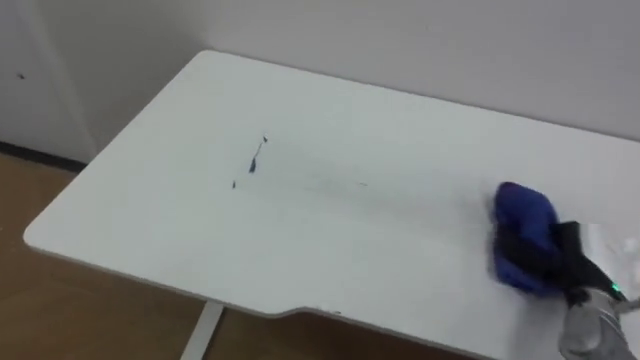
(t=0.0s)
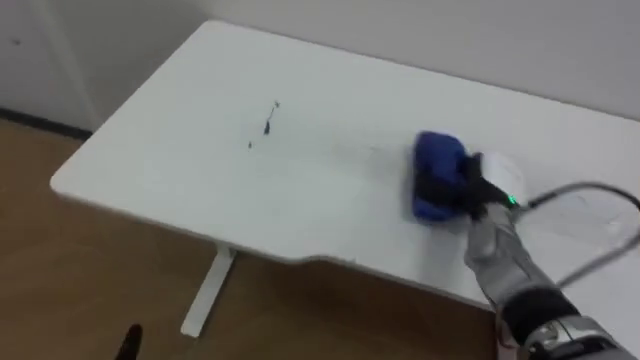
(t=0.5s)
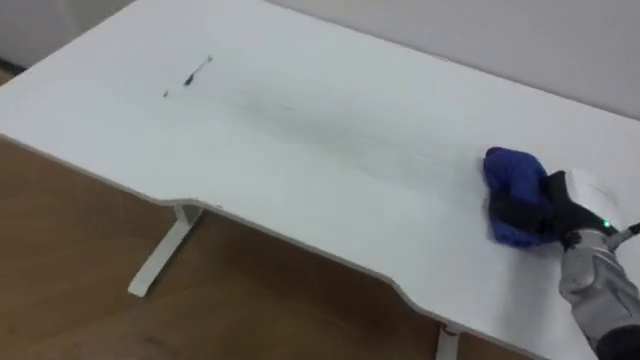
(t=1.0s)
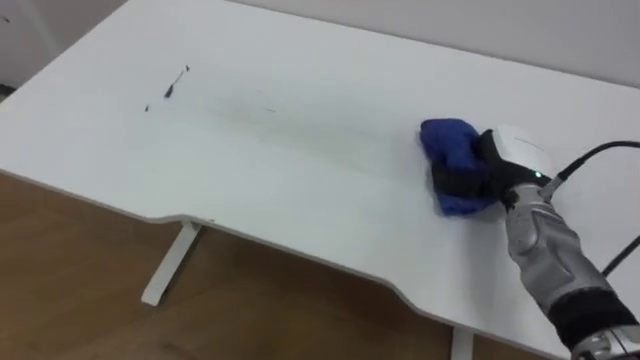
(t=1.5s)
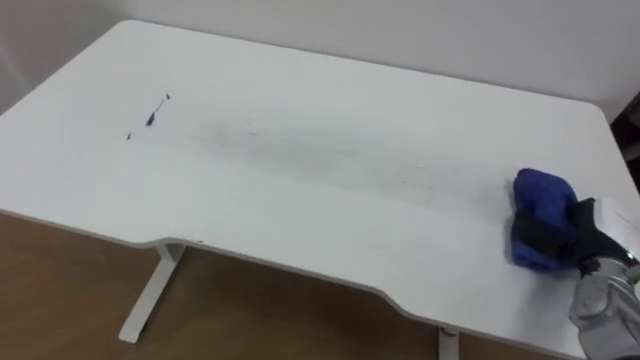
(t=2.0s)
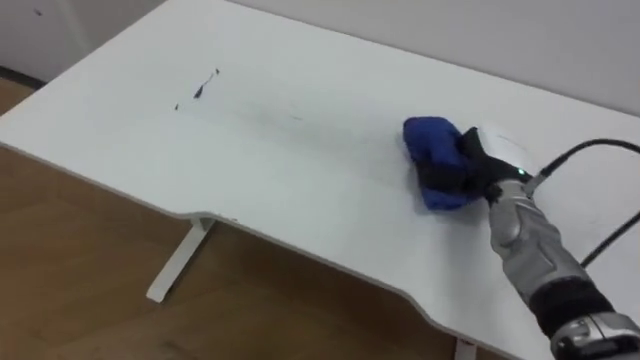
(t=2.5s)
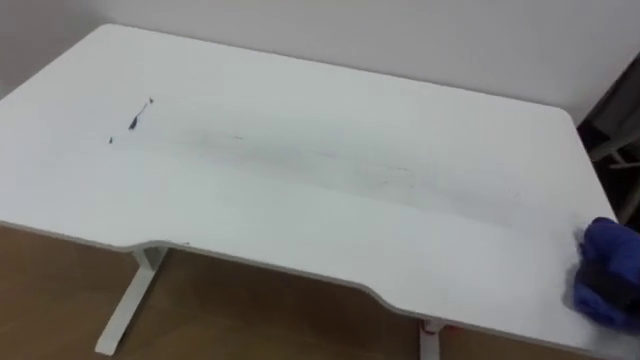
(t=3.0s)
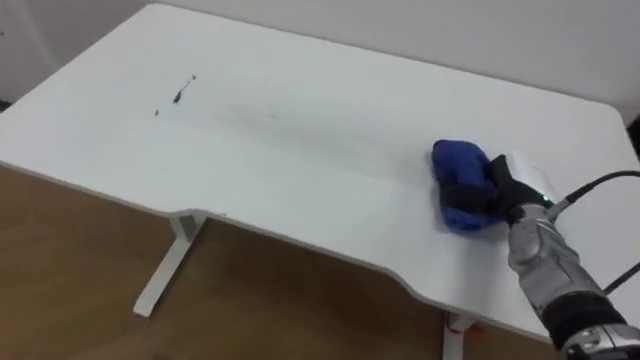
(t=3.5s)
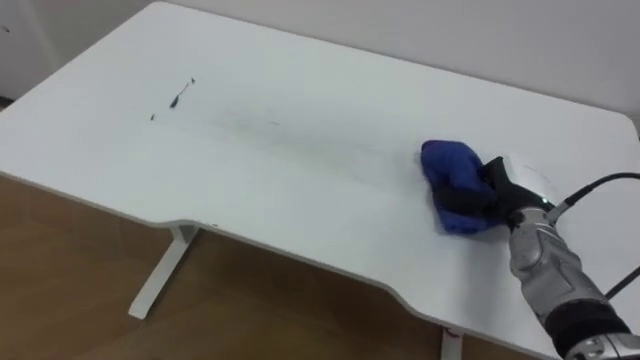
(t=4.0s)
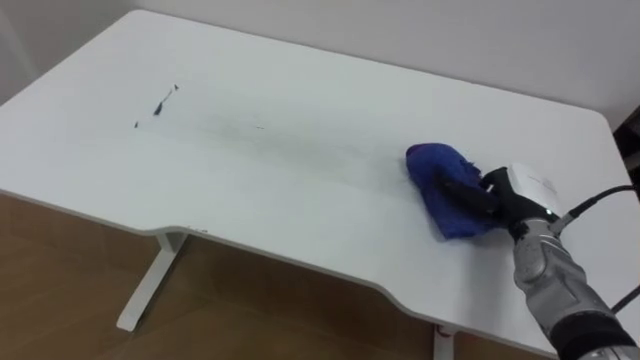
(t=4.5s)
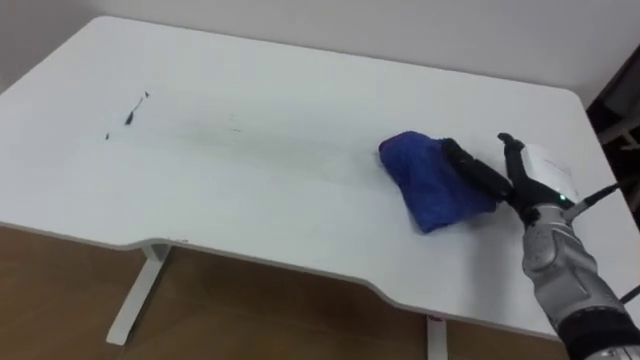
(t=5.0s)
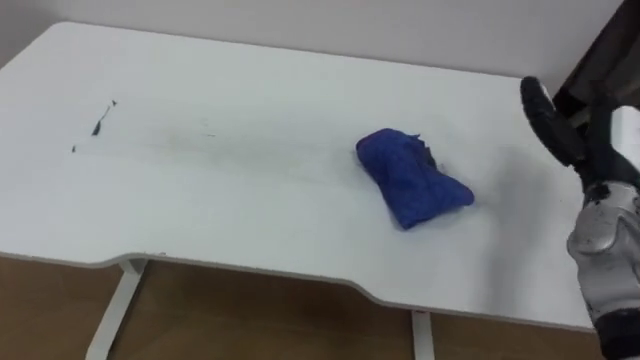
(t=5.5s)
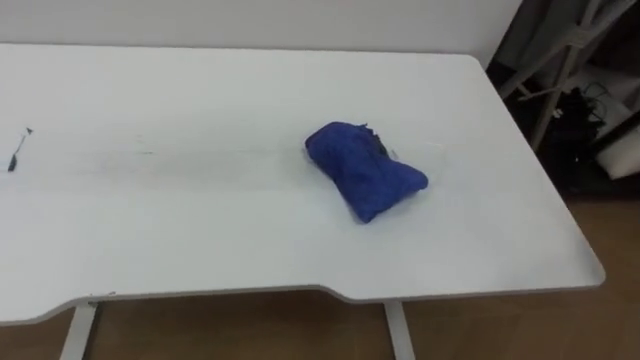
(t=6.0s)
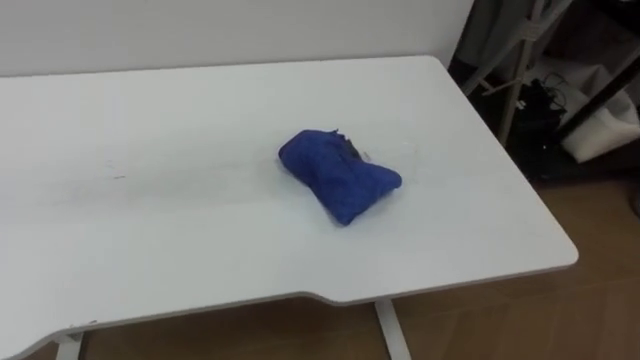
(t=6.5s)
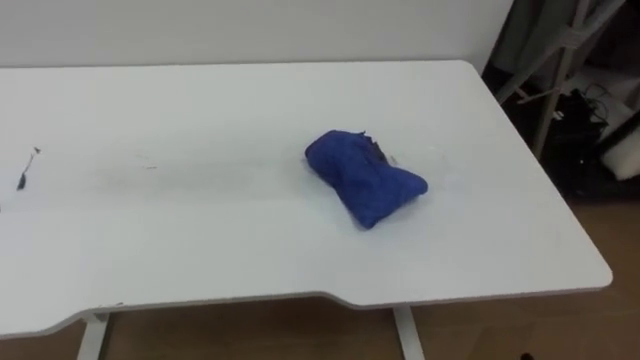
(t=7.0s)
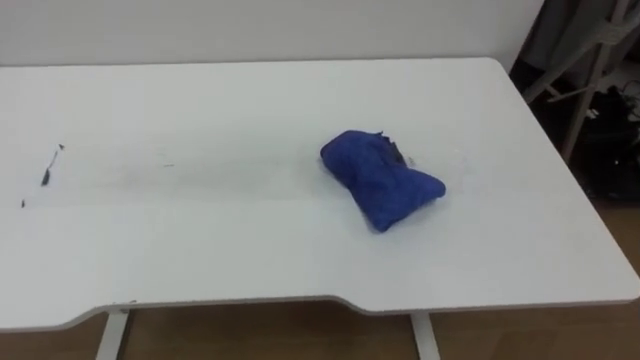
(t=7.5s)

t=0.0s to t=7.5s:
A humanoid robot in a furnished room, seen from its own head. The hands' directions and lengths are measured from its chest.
Task of the whole recording: Wipe the blue pen marks off the table with the rag.
t=4.0s to t=5.5s: The right hand moves upward and to the right, some 10 cm, and opens its fingers.

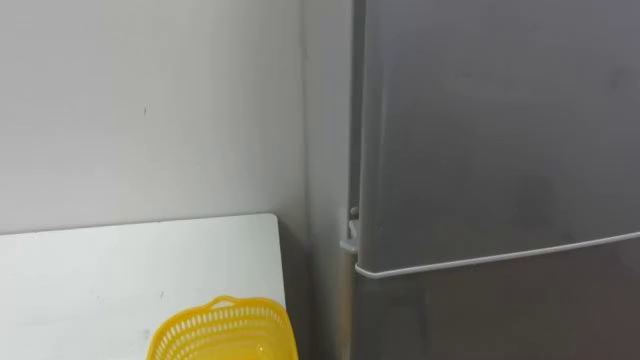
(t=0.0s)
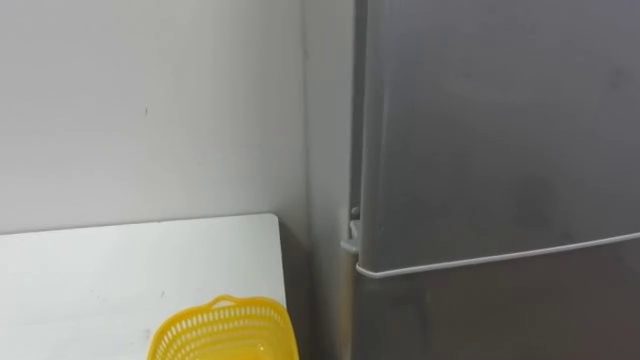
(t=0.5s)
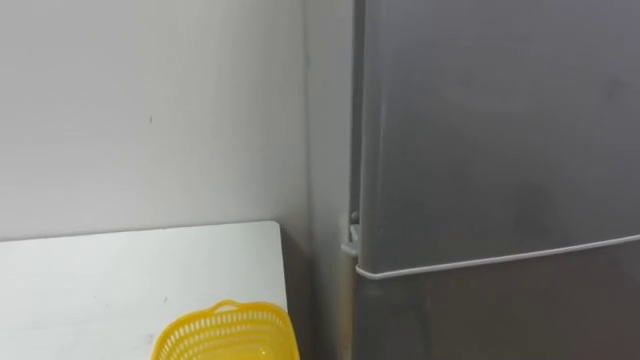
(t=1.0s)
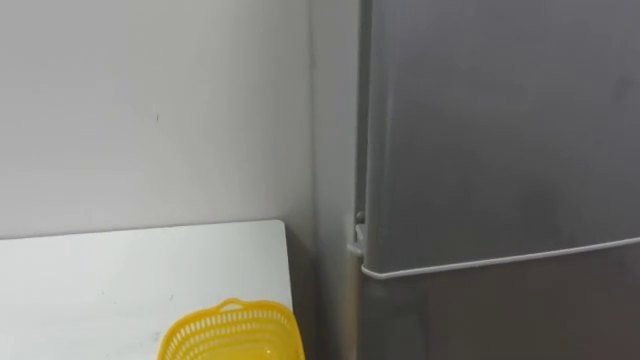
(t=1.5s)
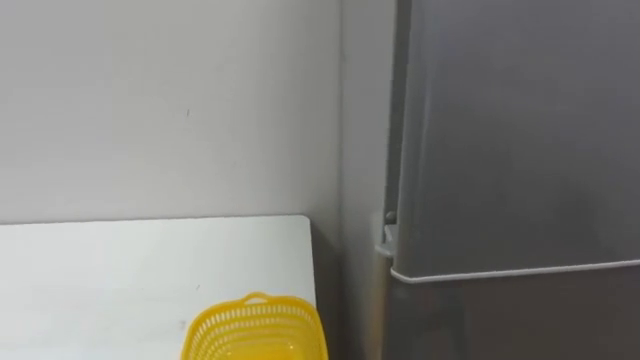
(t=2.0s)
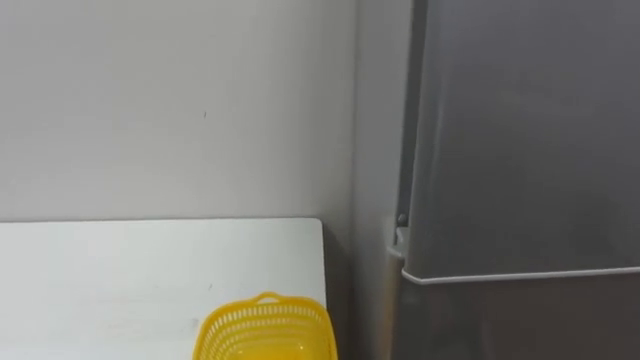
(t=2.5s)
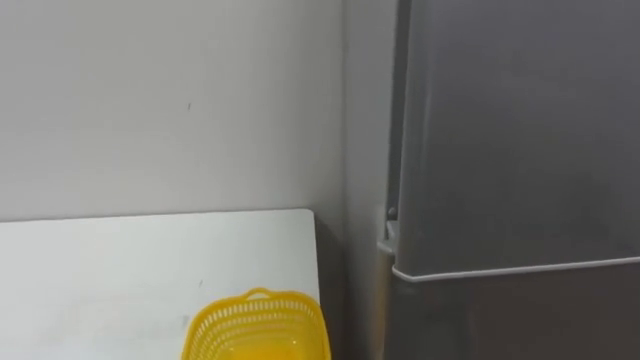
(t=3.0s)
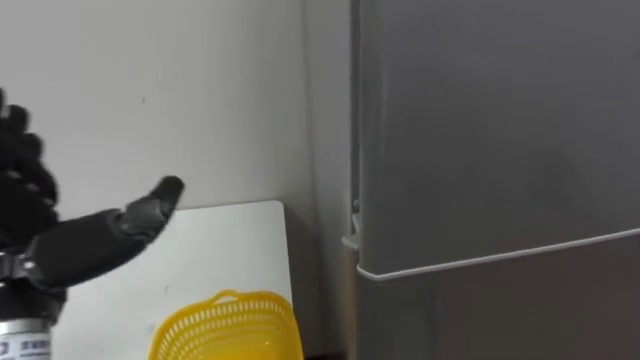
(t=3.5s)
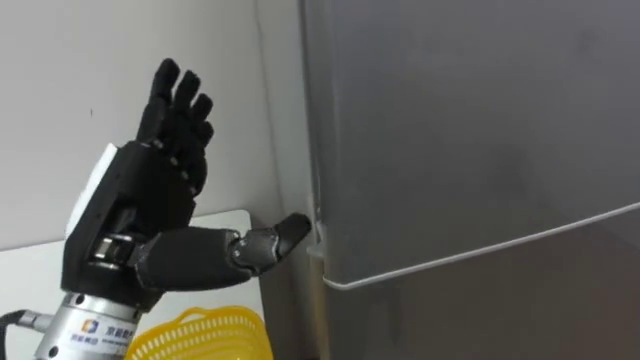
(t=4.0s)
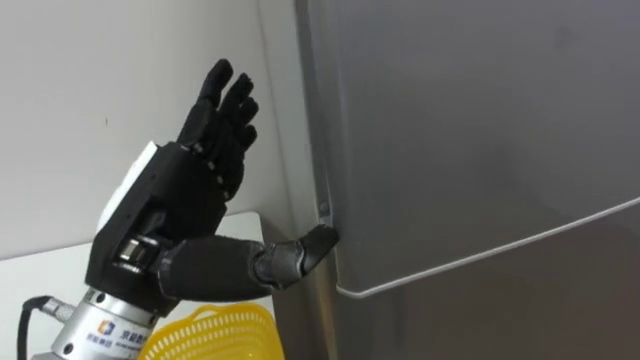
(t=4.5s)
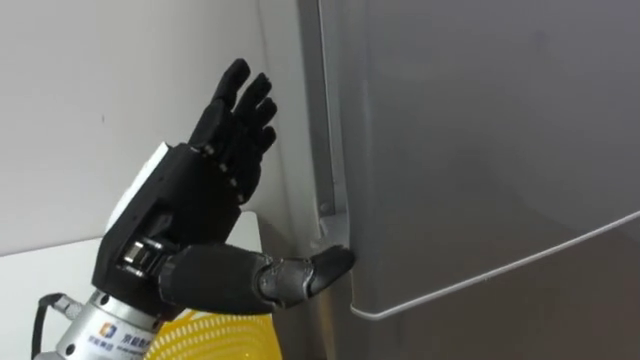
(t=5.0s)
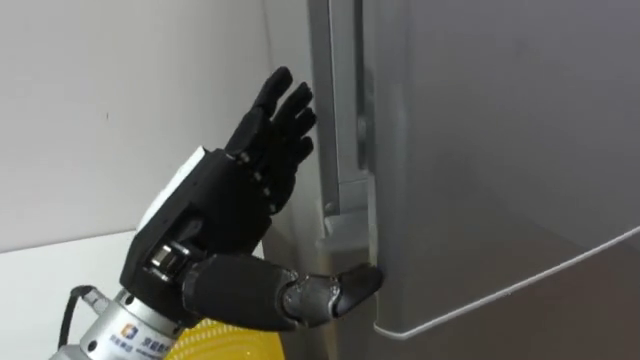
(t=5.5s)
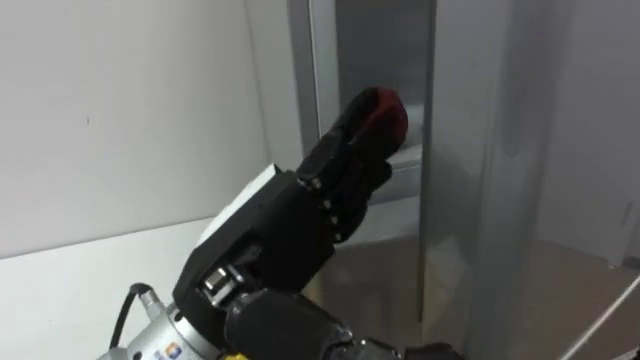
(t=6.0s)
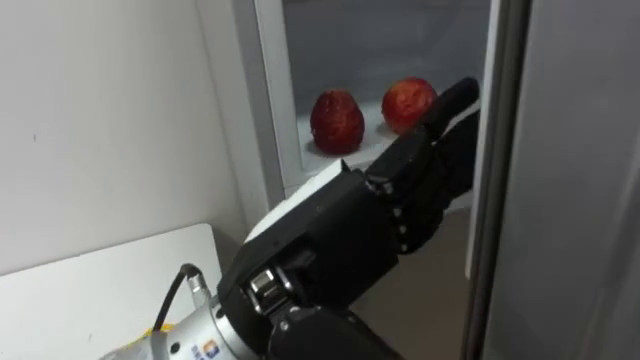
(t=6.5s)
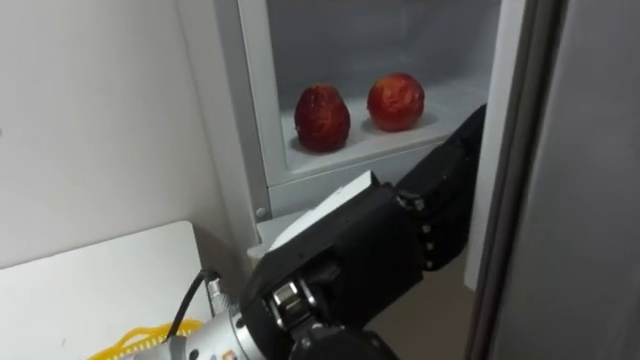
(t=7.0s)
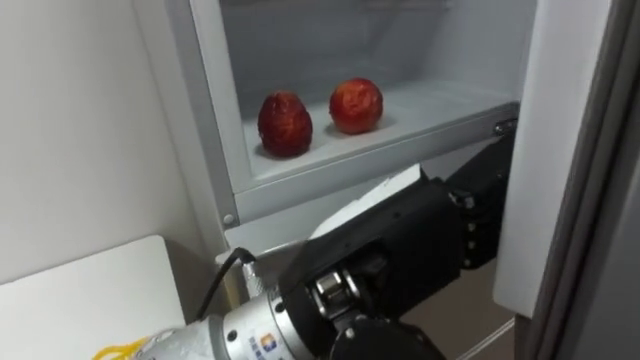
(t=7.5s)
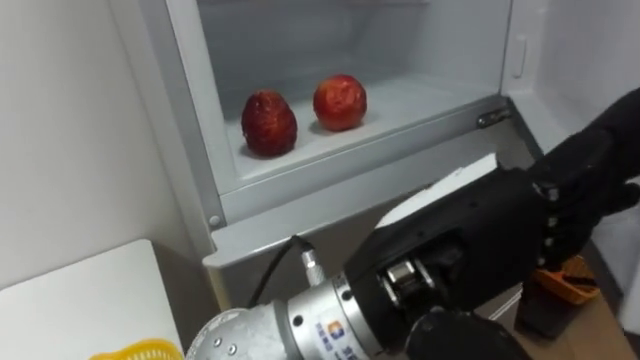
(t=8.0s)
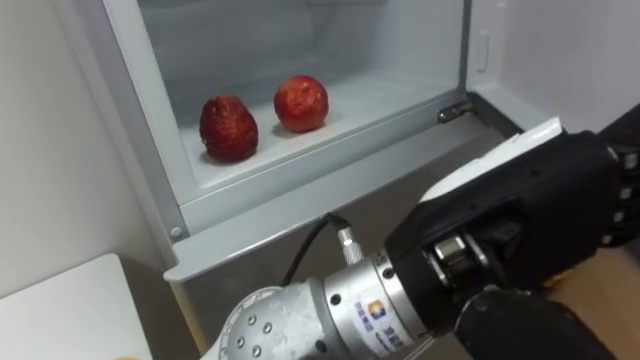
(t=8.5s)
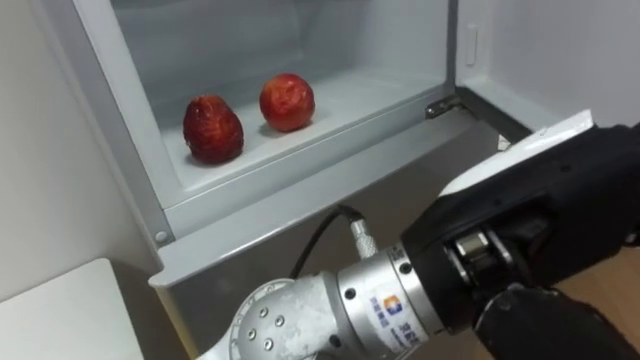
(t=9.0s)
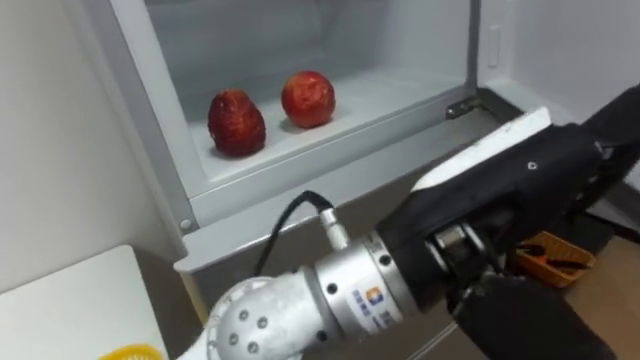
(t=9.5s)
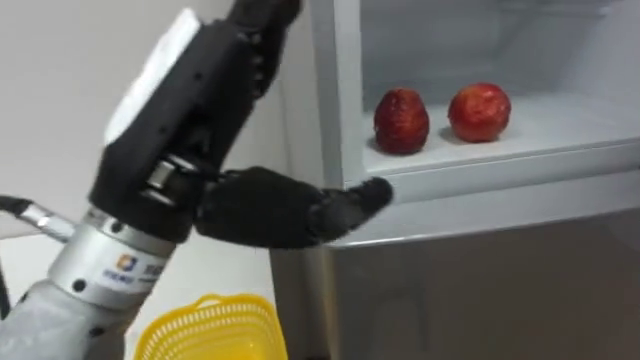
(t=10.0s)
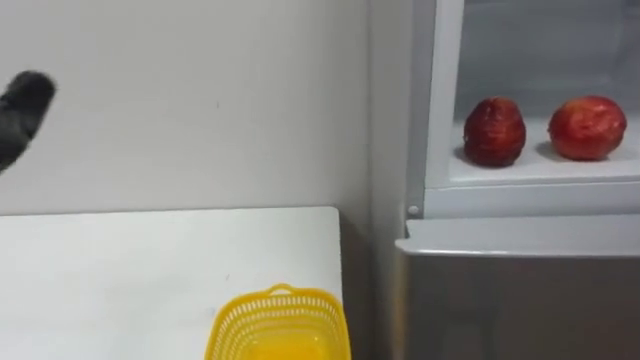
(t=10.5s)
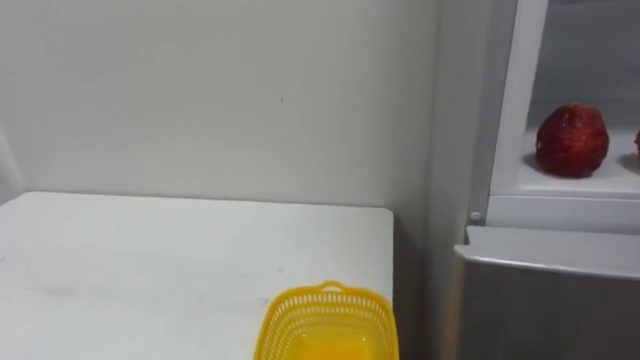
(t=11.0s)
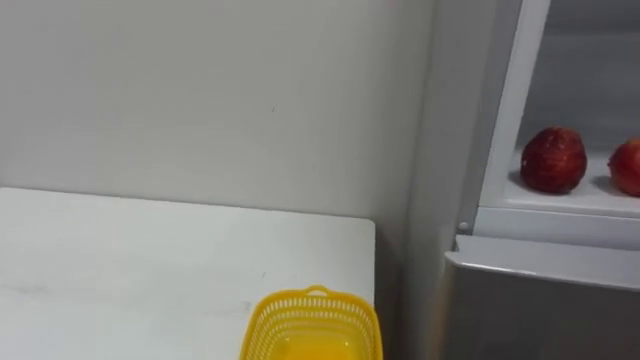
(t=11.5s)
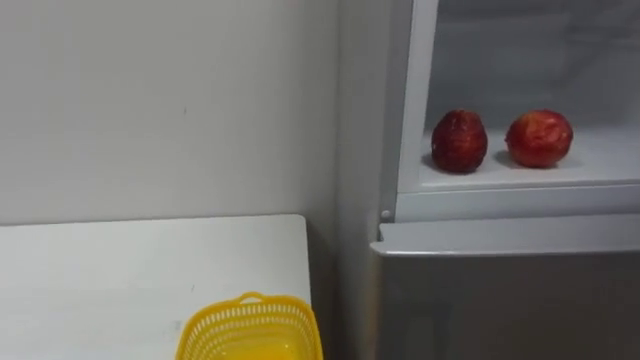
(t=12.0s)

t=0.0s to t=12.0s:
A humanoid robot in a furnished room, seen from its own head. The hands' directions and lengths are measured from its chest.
Task of the whole recording: Open the refrigerator door, take out the apple and the pomegranate, place them in the fruit basket on the left, and close the refrigerator door.
t=4.0s to t=6.0s: The left hand moves to the right, approximately 10 cm.
t=6.0s to t=8.0s: The left hand heads to the right, covering some 10 cm.
t=8.0s to t=10.0s: The left hand travels to the left and upward by about 15 cm.
